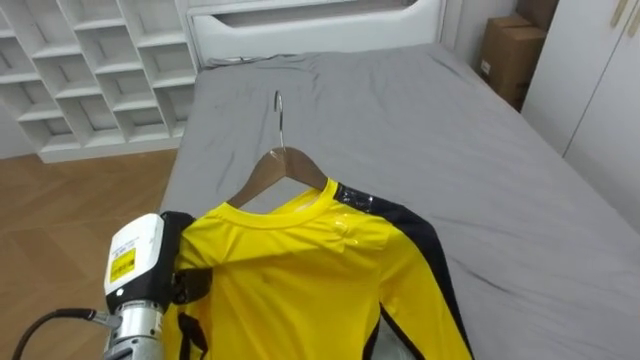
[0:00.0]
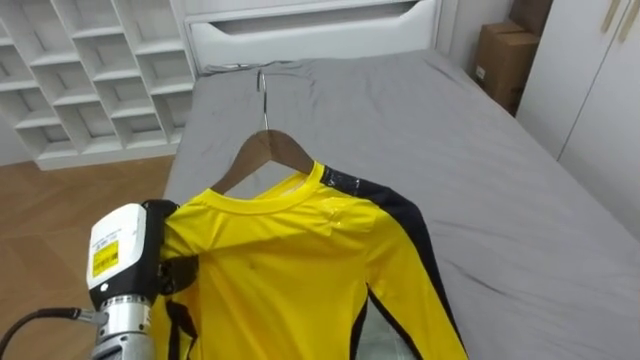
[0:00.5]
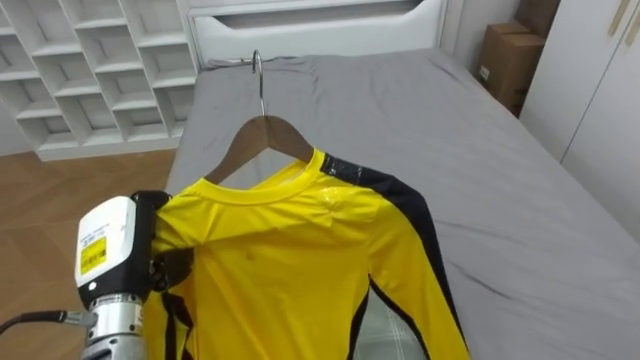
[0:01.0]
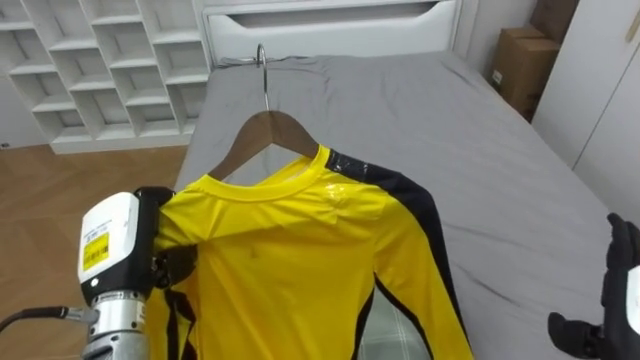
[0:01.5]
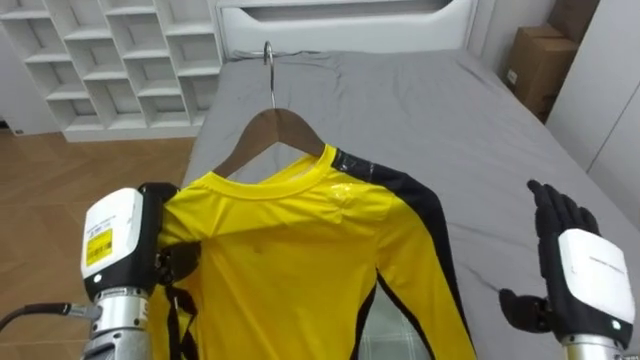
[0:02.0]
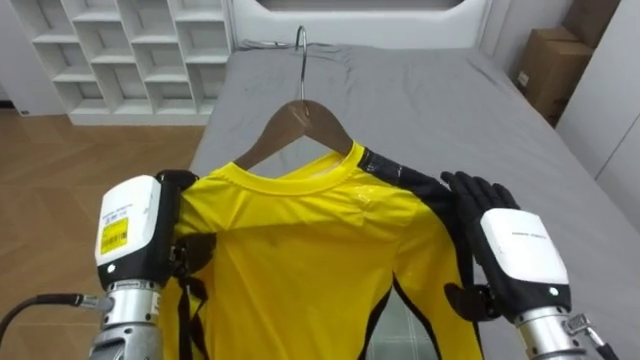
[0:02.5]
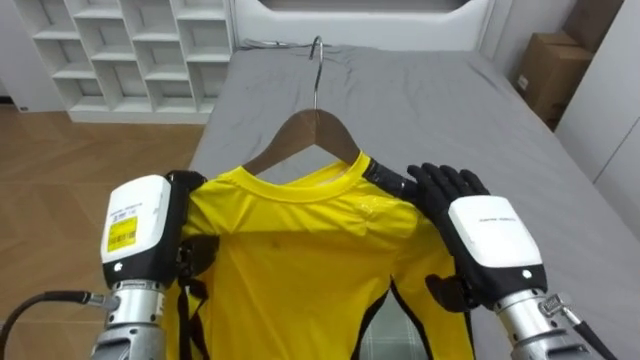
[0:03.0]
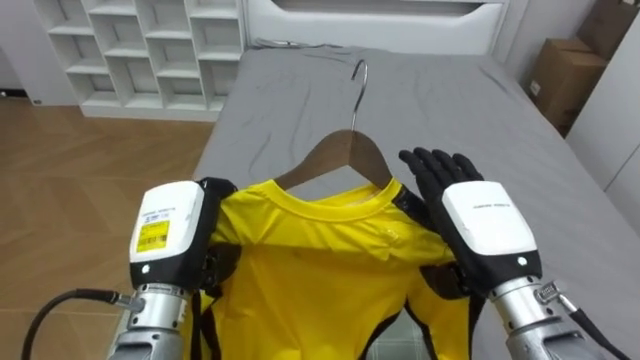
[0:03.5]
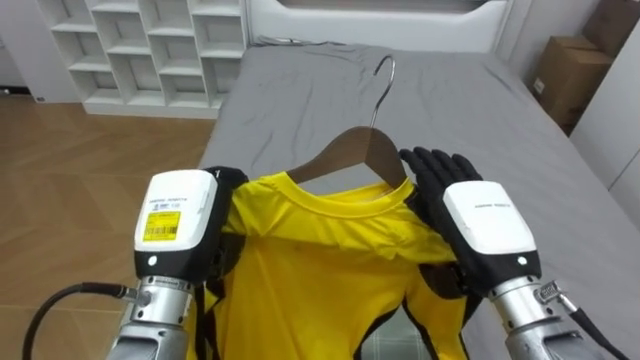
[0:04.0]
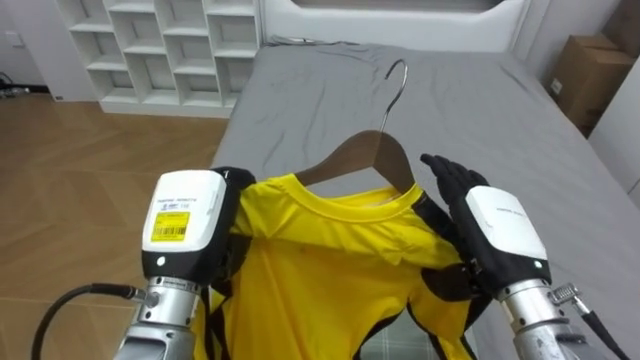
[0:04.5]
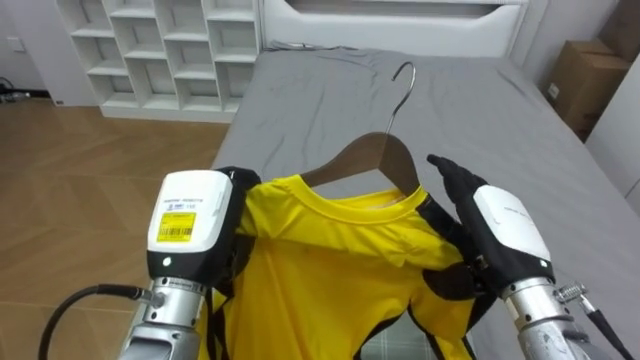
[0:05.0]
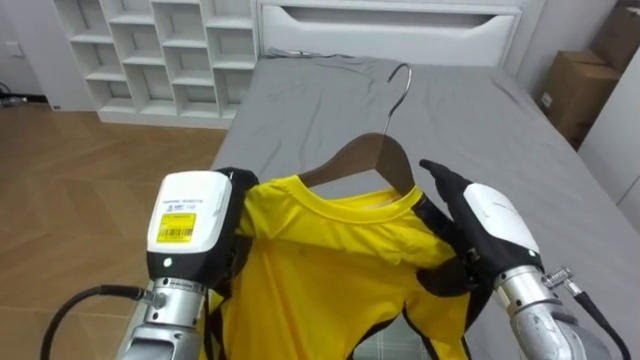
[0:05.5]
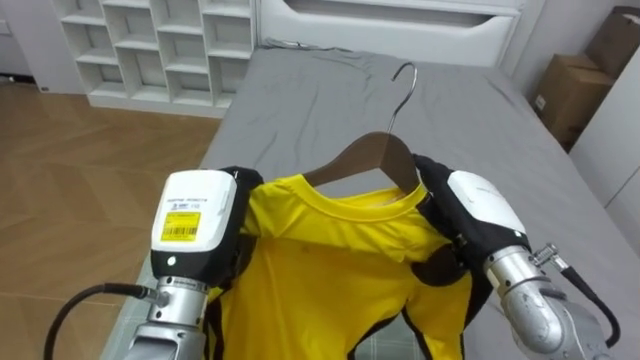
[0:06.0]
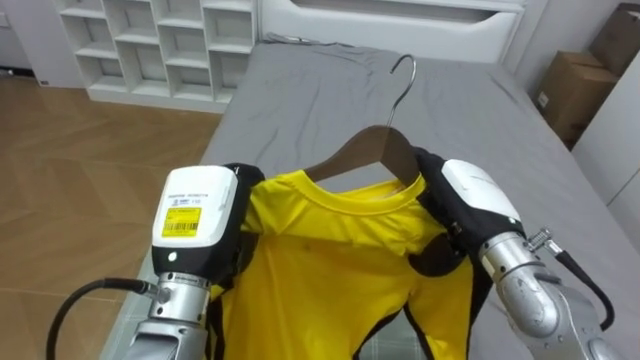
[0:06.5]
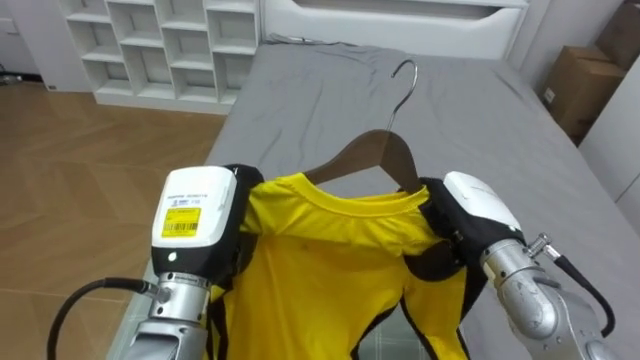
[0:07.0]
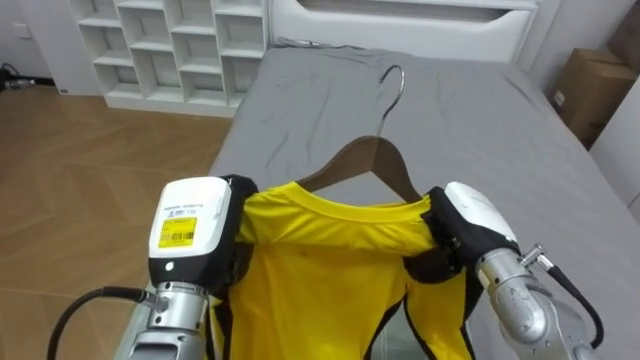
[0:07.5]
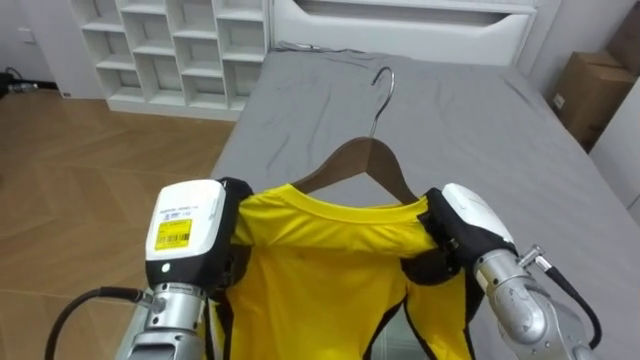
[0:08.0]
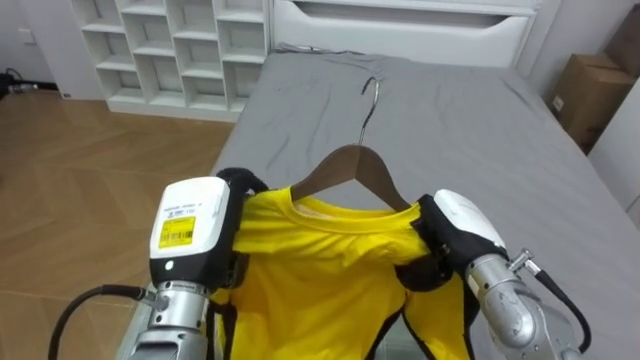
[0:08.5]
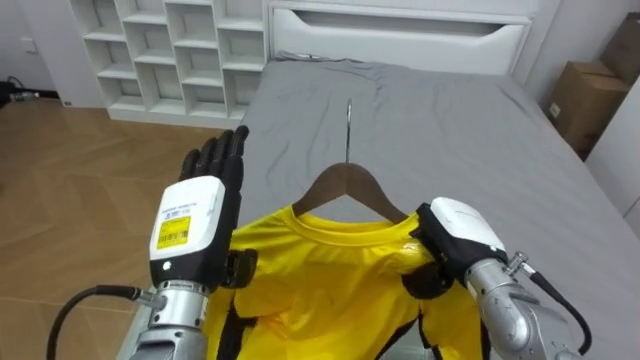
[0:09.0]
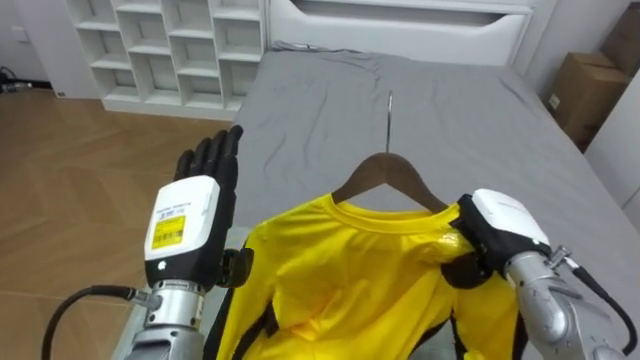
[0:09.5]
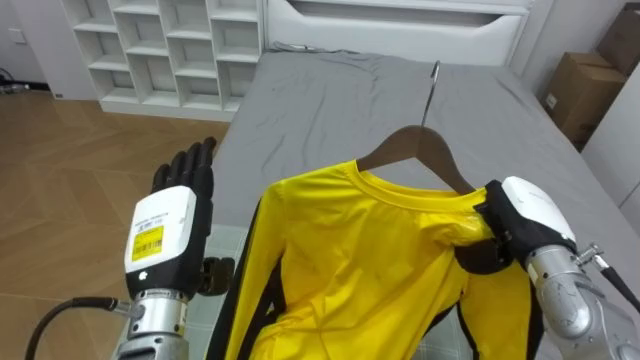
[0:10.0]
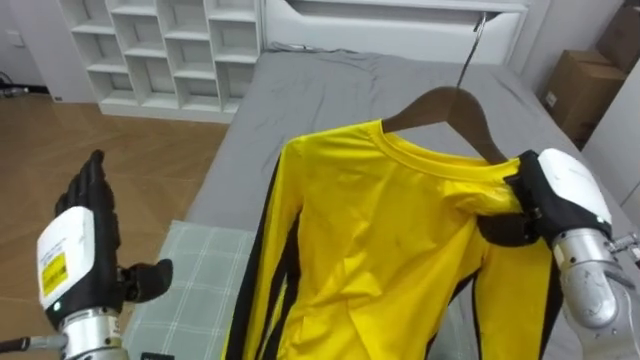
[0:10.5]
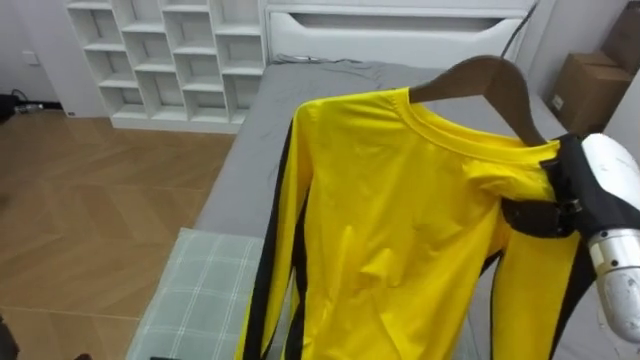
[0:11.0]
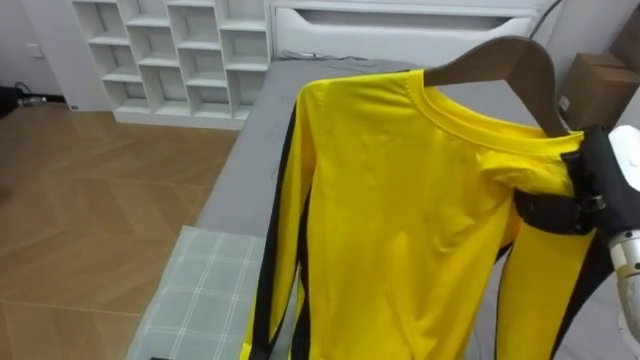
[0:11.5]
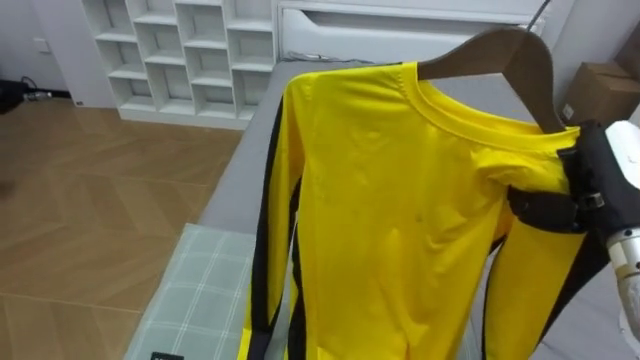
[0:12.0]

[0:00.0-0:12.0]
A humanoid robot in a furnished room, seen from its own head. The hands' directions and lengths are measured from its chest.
Task of the whole recording: Pick up the yellow shirt on the bed and hang it on the clothes rack on the right.
0:00.0 to 0:02.0: The left hand ends up about 5 cm from where it was.
0:02.0 to 0:04.0: The left hand is displaced to the right by about 5 cm; the right hand moves to the left and upward, about 10 cm.
0:06.0 to 0:08.0: The right hand closes its fingers.
0:08.0 to 0:10.0: The right hand shifts about 5 cm to the right. Meanwhile the left hand opens its fingers.
0:10.0 to 0:12.0: The right hand moves upward, some 10 cm.

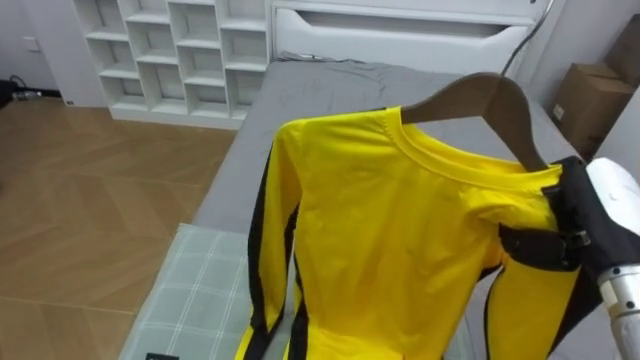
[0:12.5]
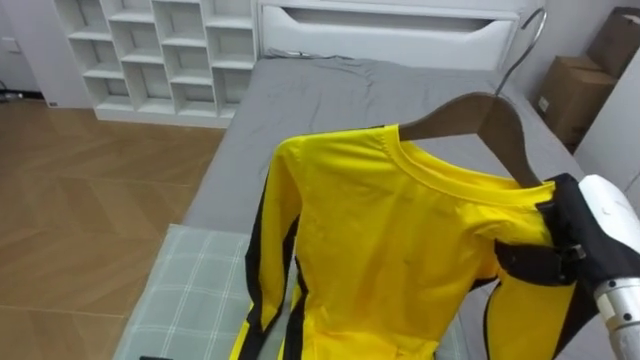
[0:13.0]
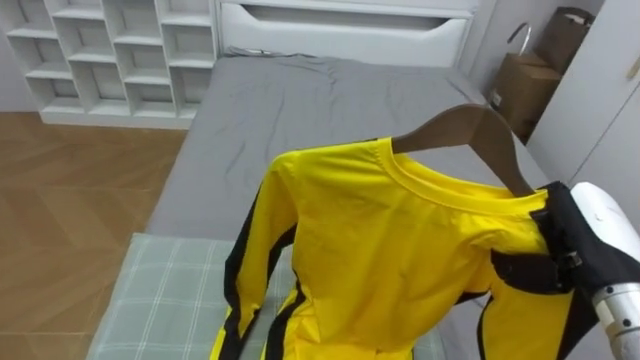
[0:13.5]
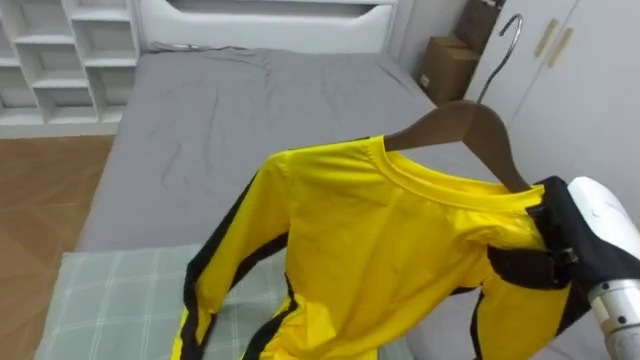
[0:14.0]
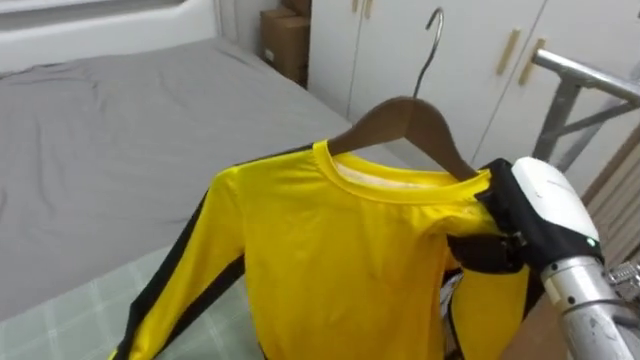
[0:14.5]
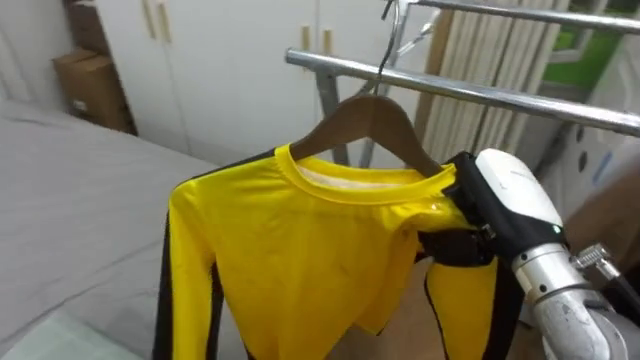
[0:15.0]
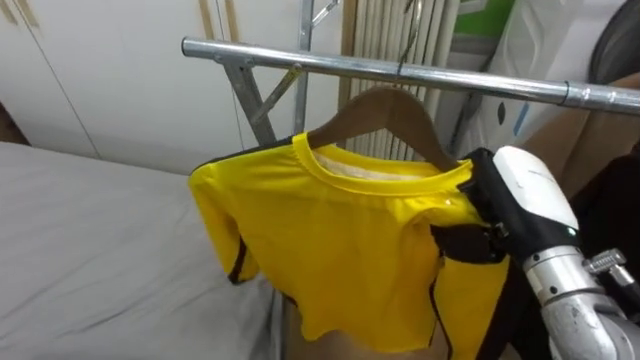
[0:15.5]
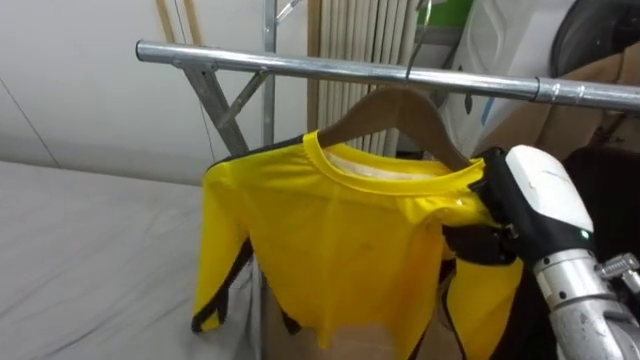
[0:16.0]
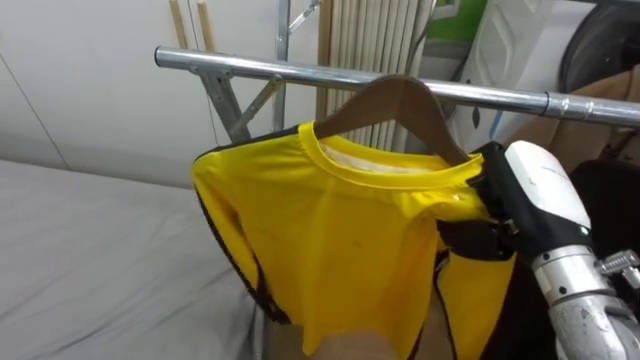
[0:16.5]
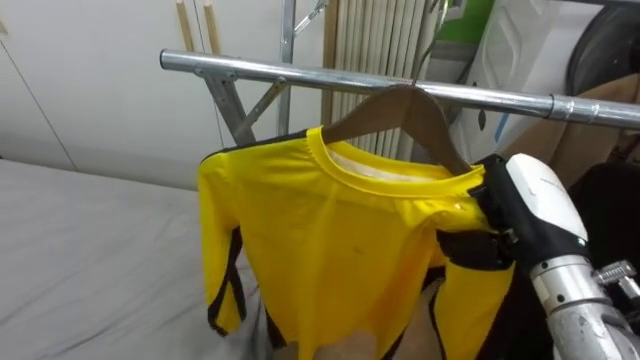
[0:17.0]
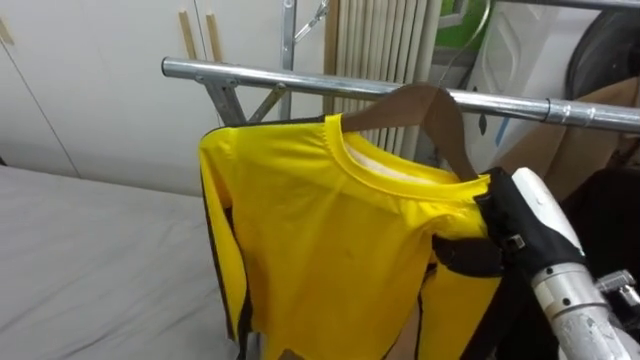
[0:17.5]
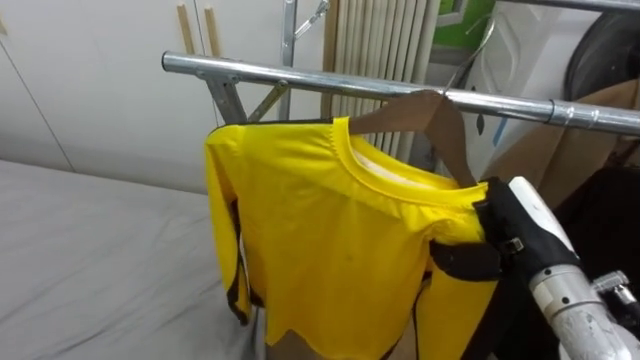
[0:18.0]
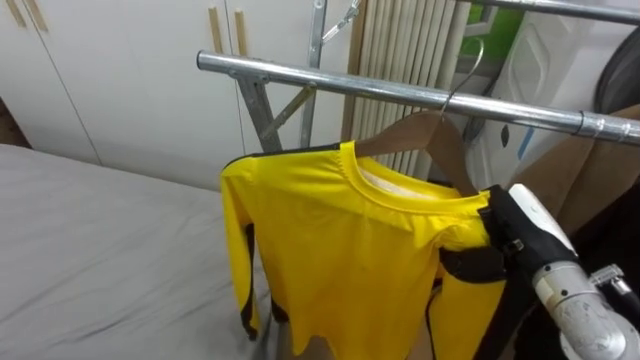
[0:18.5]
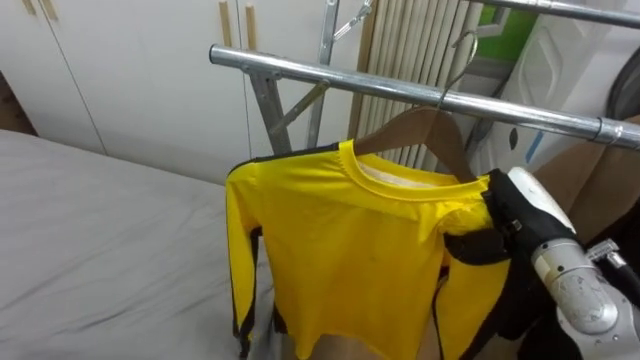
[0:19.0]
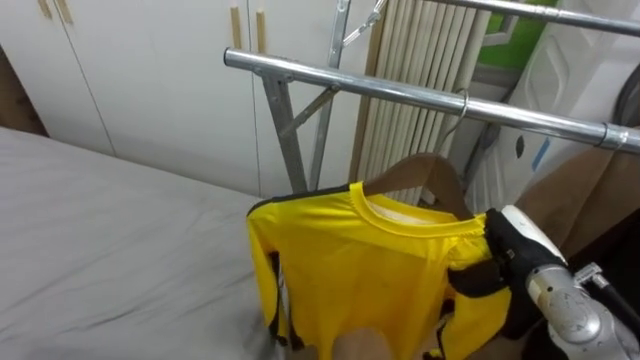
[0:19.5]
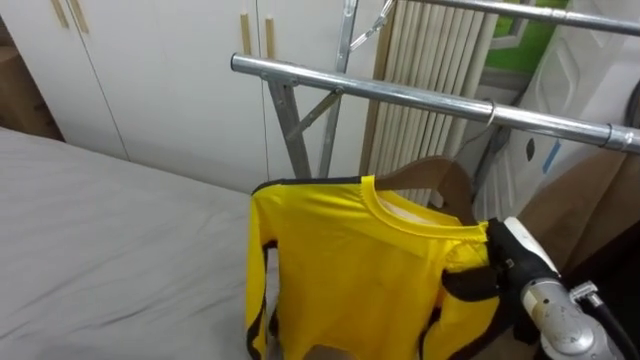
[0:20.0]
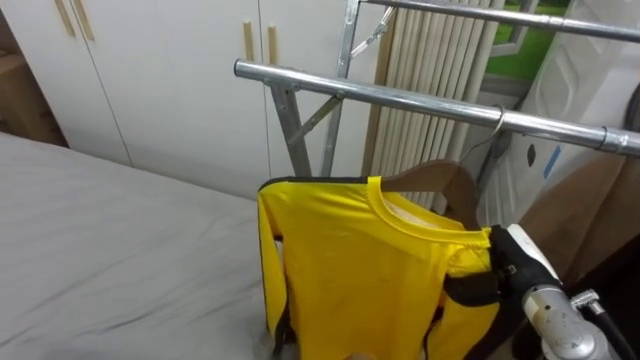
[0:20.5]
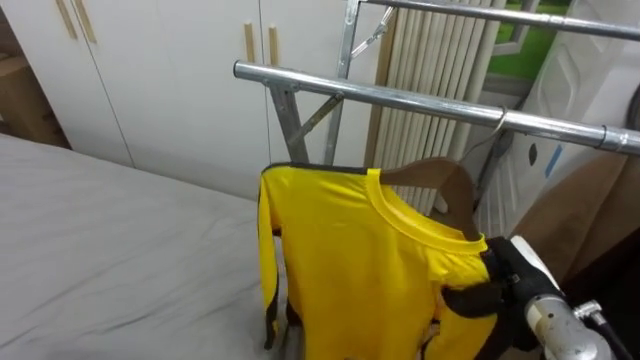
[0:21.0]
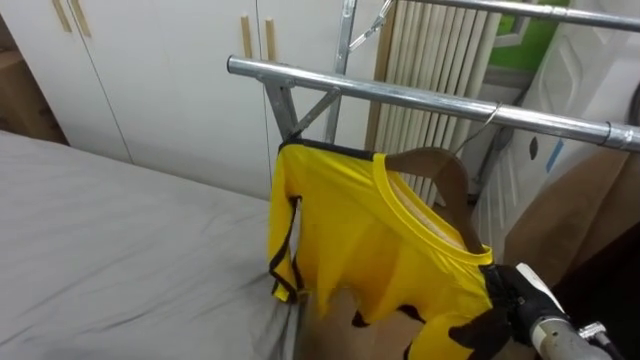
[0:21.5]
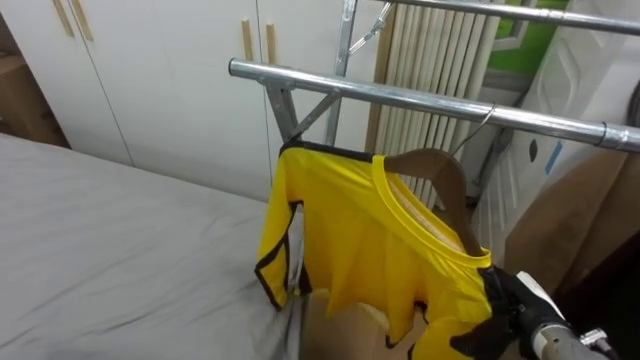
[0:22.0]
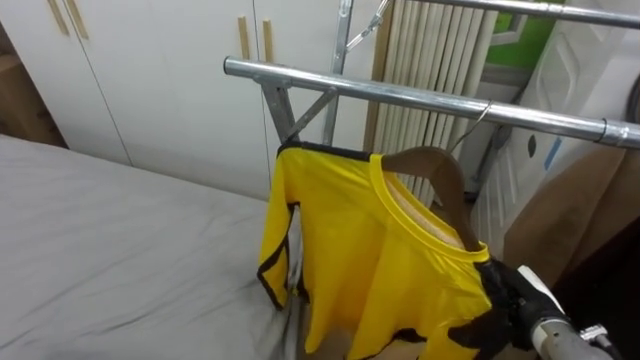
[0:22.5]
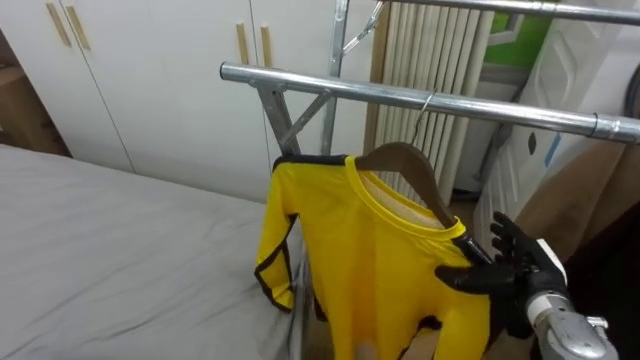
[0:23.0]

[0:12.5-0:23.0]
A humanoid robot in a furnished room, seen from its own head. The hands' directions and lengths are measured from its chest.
Task of the whole recording: Pick up the yellow shirt on the bed and hang it on the clothes rack on the right.
0:12.5 to 0:14.5: The robot faces some 45 degrees further to its right. The right hand goes about 5 cm to the left.
0:14.5 to 0:16.5: The robot faces approximately 40 degrees further to its right.
0:16.5 to 0:19.0: The right hand goes about 5 cm downward.
0:19.0 to 0:21.0: The right hand shifts about 10 cm downward.
0:21.0 to 0:23.0: The right hand opens its fingers.
